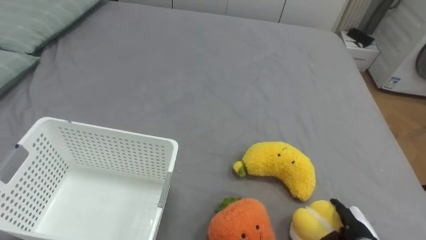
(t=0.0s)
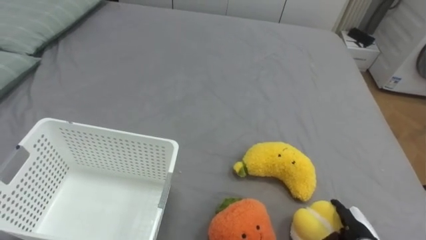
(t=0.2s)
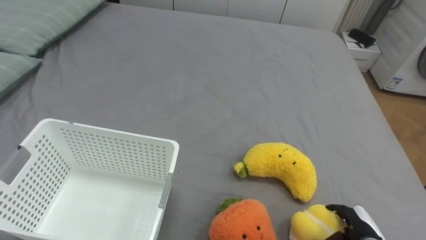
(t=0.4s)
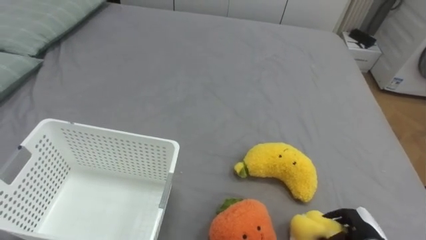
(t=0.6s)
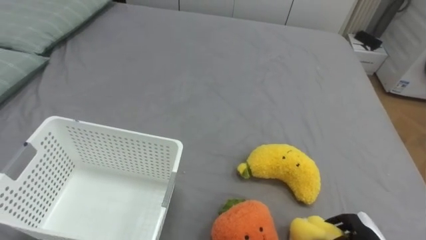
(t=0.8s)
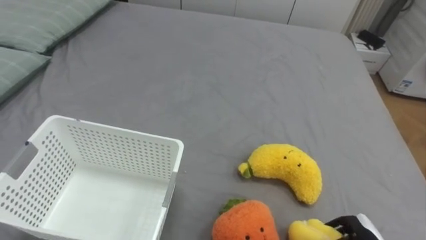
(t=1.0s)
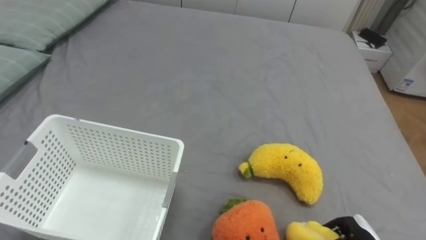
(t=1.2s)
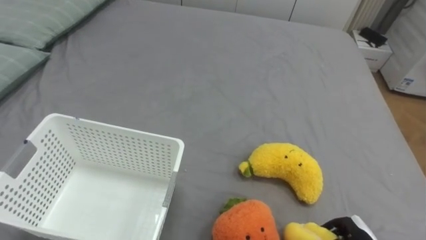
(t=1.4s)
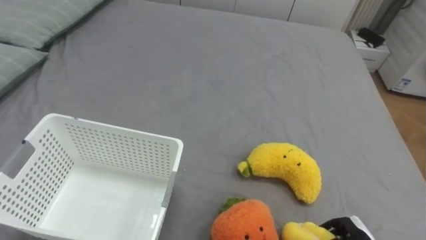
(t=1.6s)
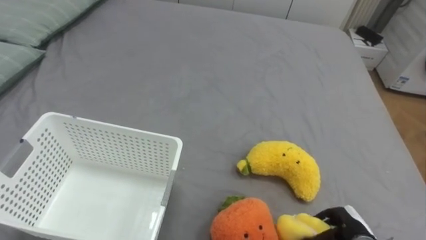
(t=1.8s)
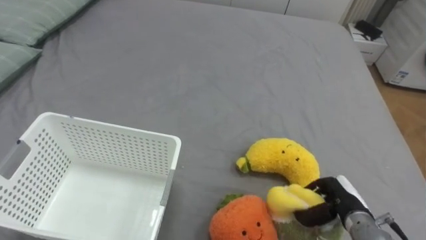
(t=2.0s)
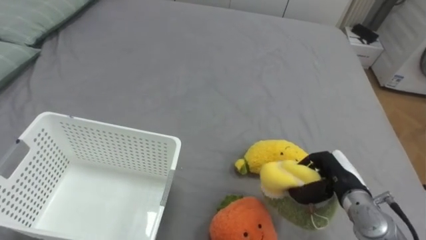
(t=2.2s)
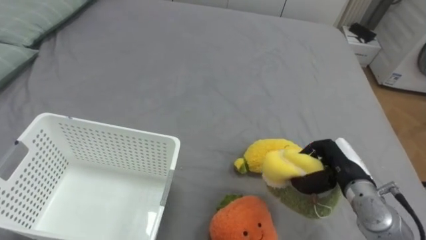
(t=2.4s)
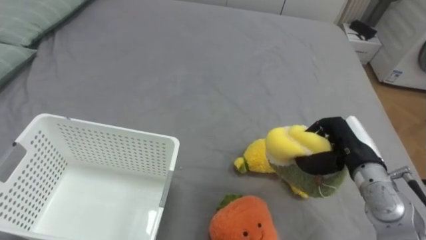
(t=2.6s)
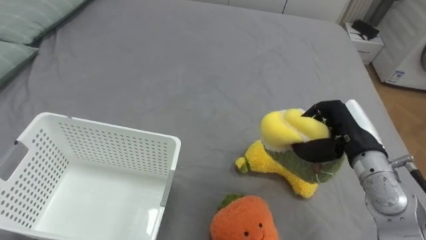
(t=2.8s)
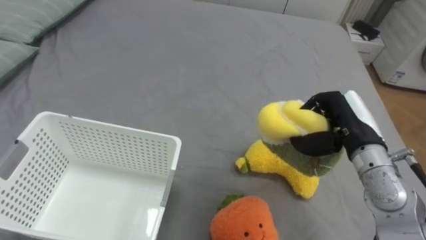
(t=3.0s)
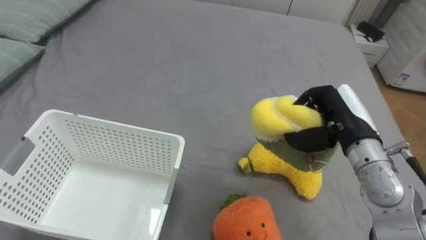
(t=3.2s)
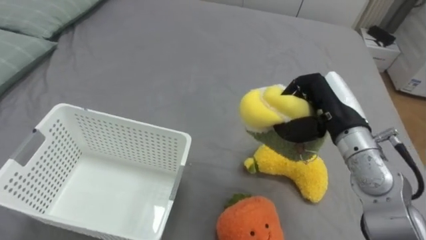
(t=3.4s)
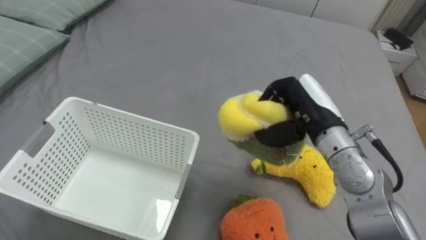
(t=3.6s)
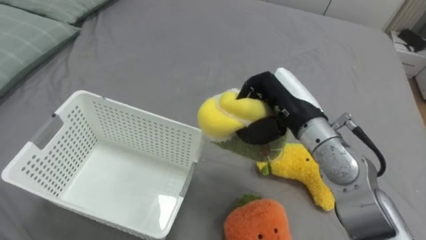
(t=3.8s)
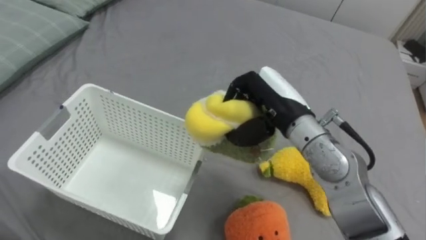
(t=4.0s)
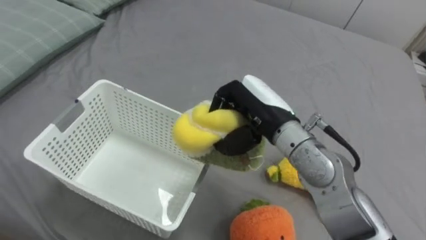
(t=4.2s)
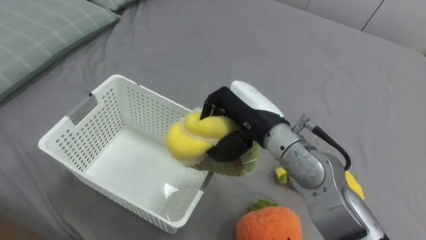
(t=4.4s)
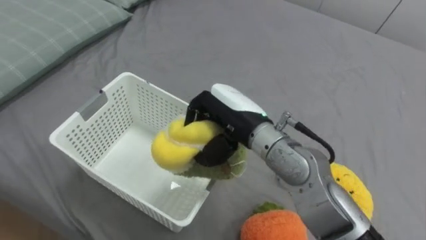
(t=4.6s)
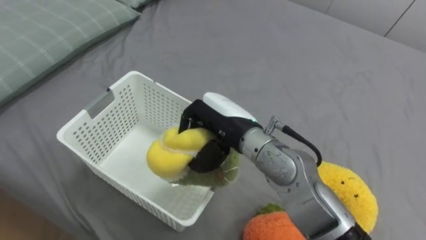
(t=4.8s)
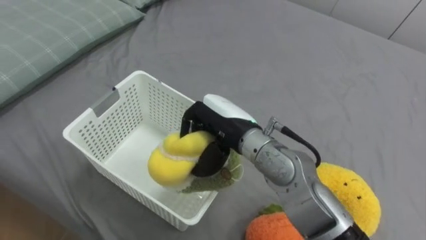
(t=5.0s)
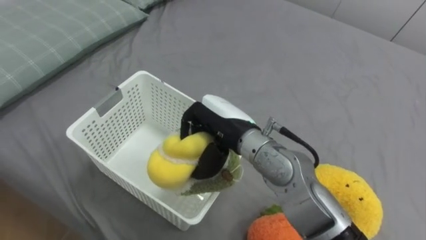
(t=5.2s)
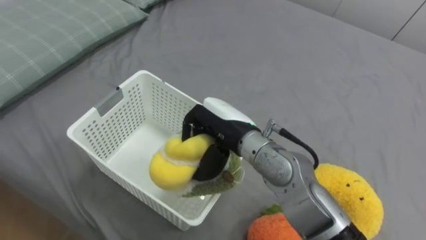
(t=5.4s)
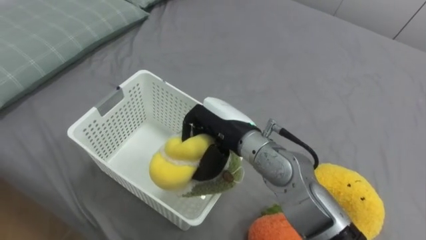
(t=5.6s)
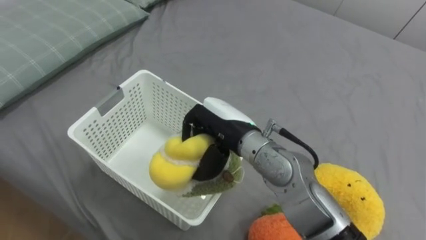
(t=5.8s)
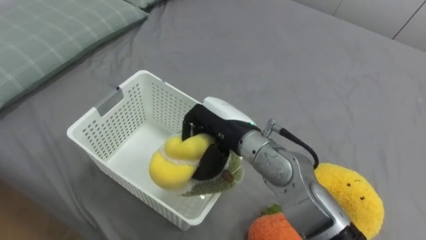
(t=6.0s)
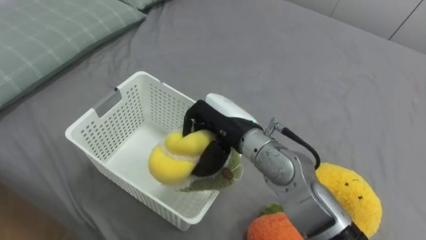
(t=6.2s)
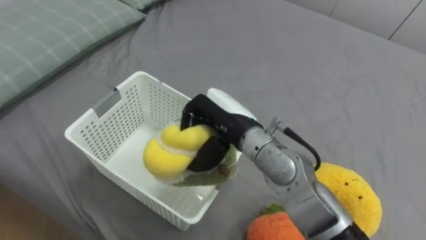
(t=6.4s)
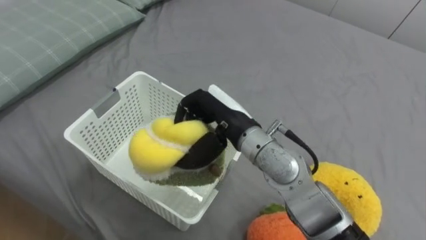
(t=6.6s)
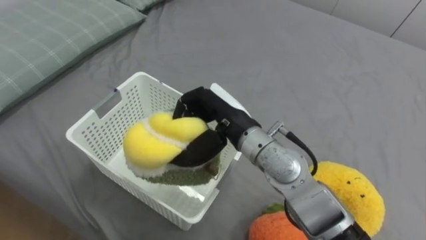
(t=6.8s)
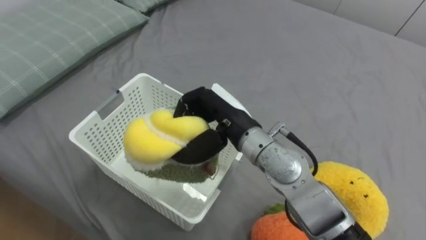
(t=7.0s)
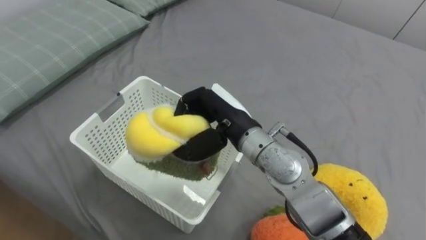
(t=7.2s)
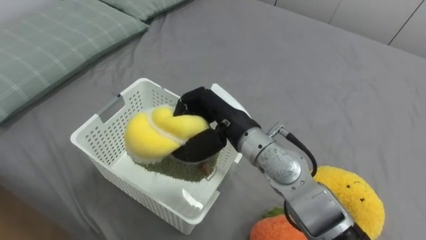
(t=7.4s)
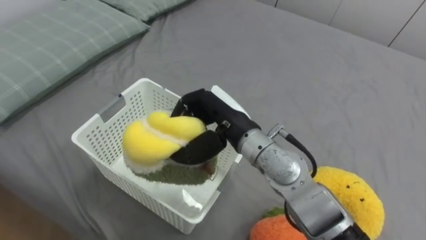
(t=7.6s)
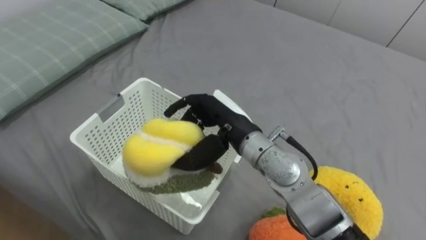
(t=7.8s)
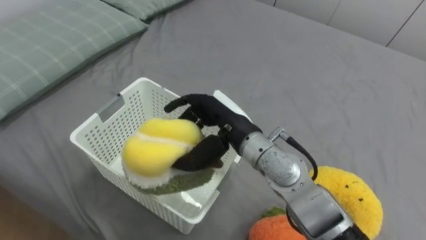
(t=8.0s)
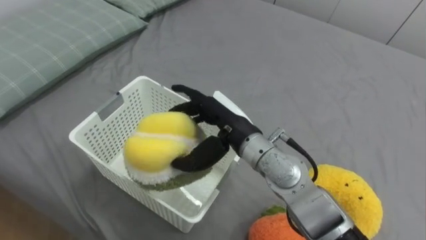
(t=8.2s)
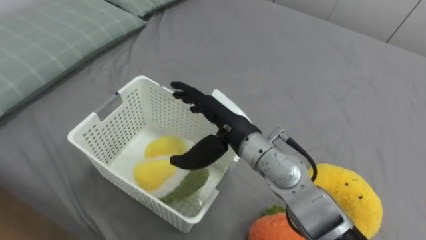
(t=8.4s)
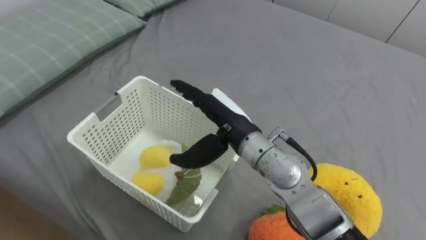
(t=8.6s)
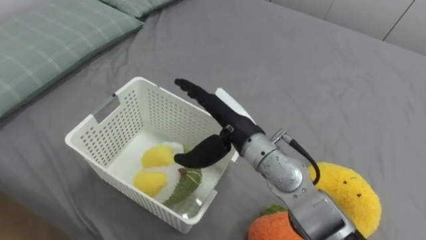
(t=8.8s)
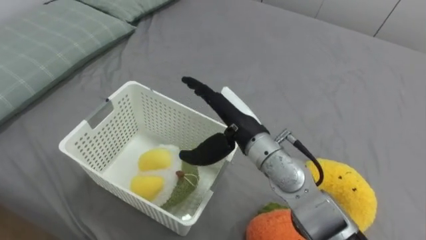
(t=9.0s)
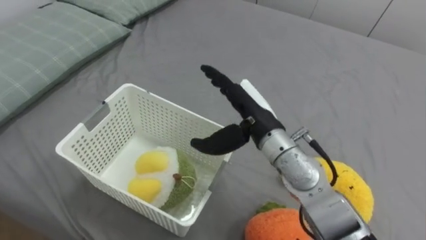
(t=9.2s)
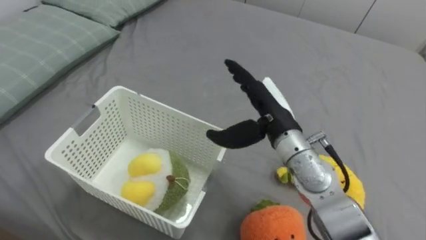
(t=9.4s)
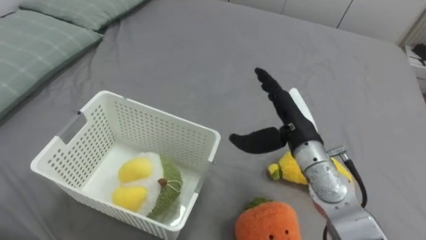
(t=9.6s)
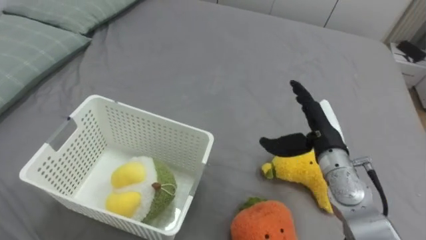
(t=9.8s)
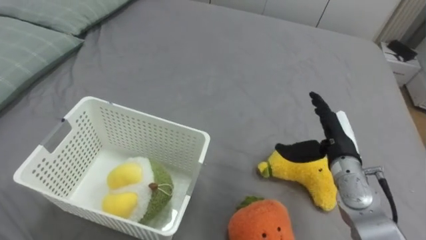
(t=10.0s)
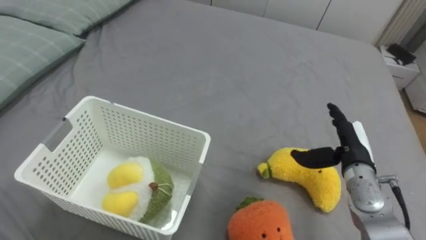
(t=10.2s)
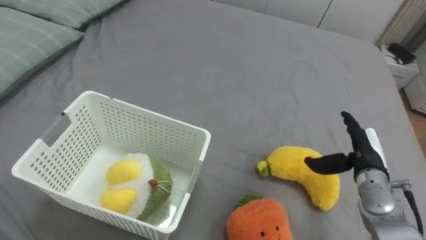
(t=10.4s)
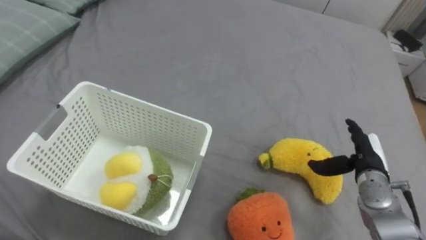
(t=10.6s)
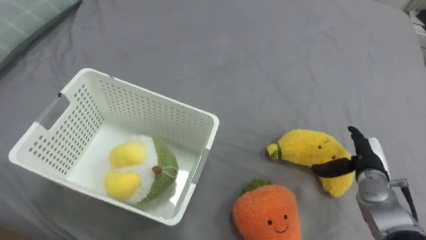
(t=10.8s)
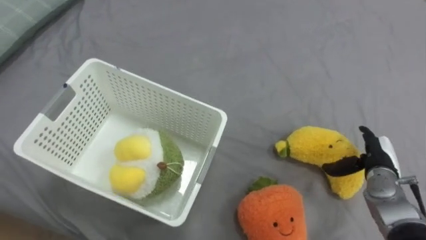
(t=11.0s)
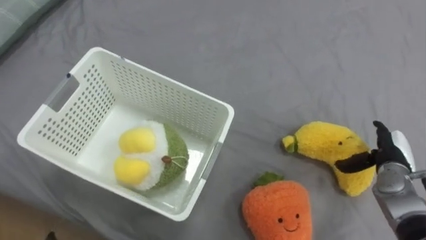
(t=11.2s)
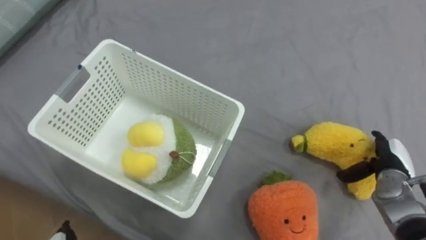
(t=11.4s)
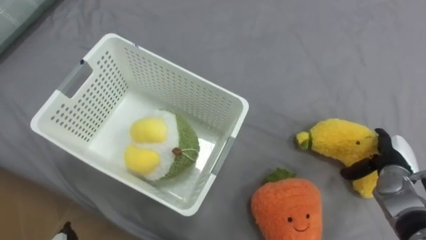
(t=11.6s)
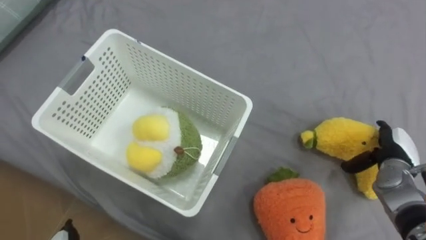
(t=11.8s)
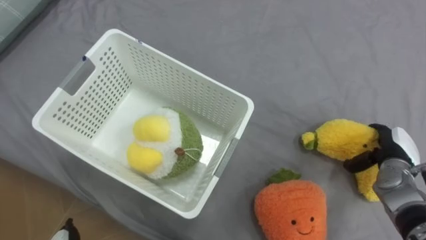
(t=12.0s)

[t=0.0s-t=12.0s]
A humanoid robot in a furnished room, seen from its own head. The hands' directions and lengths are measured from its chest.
Task of the whole recording: Put the toys on the bed into the basket on the left.
t=3.0s to t=4.4s: The right hand goes roughly 15 cm to the left.
t=4.4s to t=6.0s: The right hand ends up approximately 5 cm from where it was.
t=7.6s to t=9.0s: The right hand opens up.
t=9.0s to t=10.4s: The right hand goes some 30 cm to the right and downward.
t=10.4s to t=12.0s: The right hand is displaced to the right by some 5 cm.

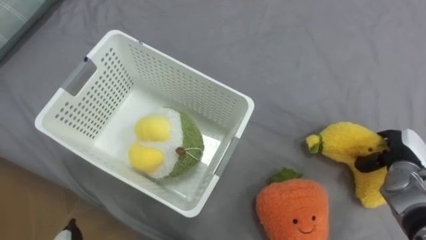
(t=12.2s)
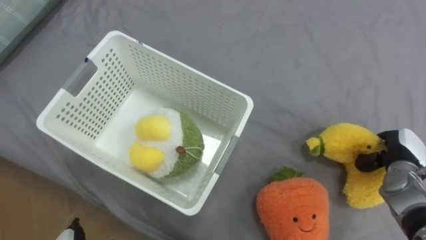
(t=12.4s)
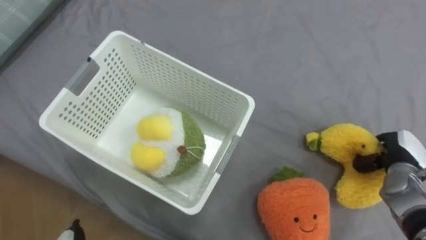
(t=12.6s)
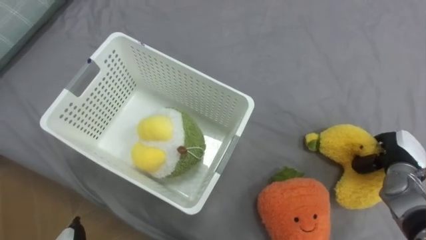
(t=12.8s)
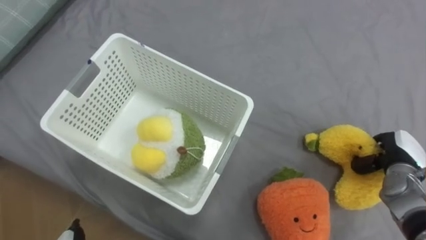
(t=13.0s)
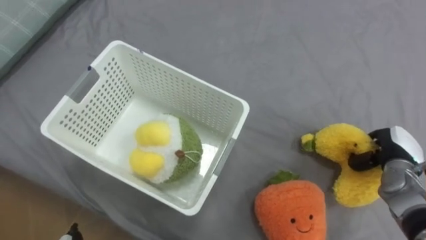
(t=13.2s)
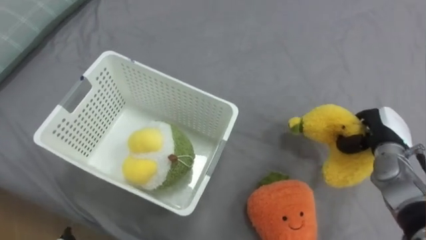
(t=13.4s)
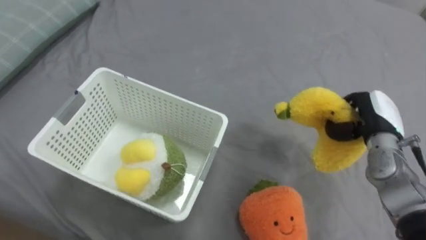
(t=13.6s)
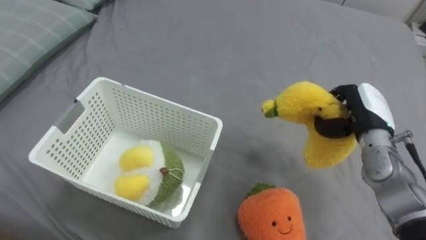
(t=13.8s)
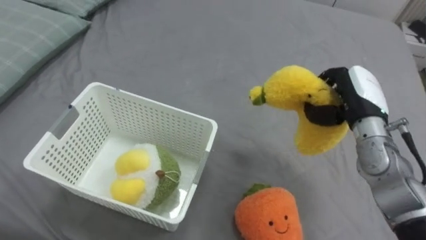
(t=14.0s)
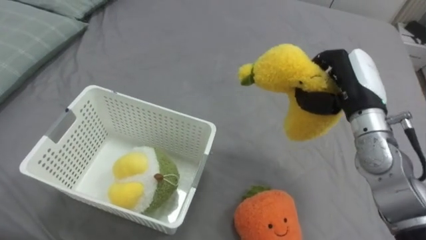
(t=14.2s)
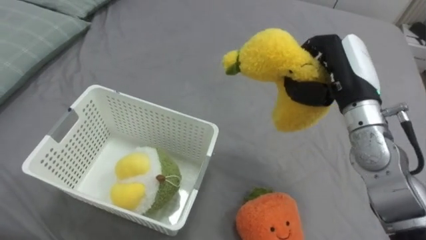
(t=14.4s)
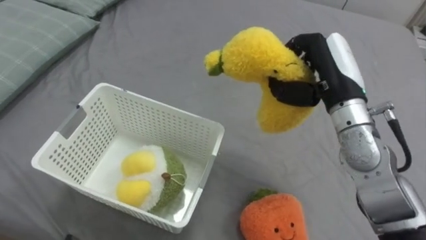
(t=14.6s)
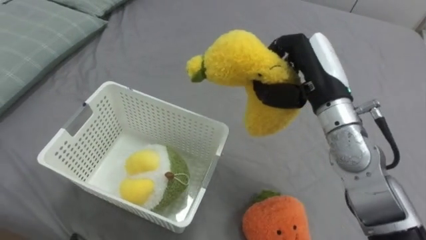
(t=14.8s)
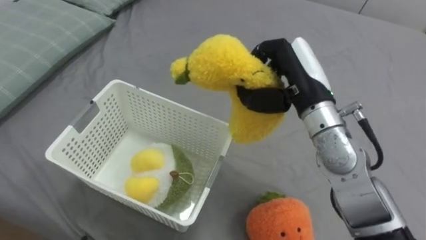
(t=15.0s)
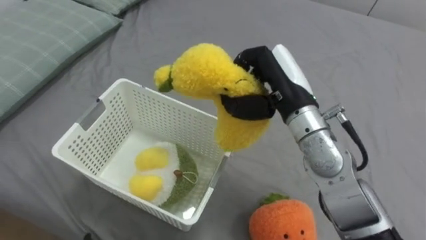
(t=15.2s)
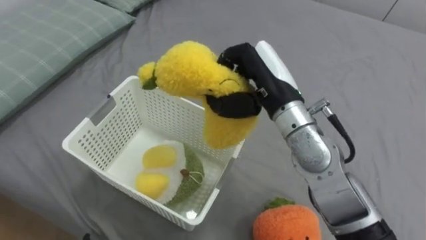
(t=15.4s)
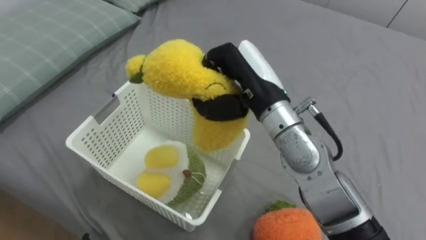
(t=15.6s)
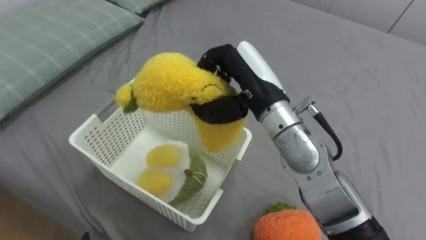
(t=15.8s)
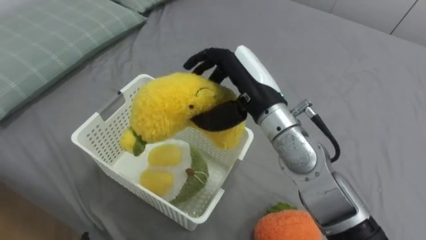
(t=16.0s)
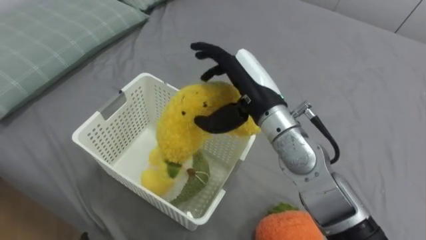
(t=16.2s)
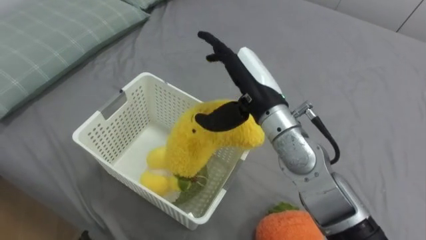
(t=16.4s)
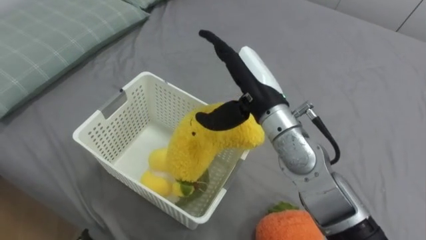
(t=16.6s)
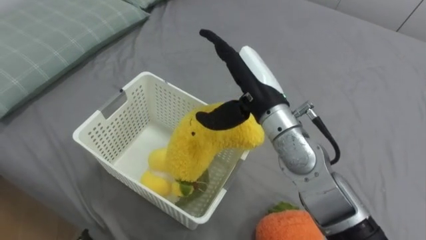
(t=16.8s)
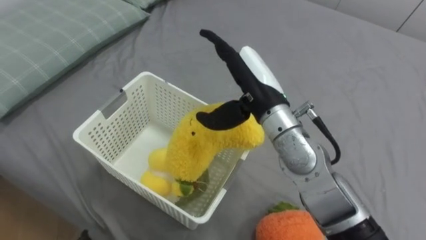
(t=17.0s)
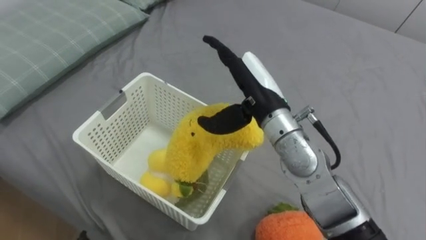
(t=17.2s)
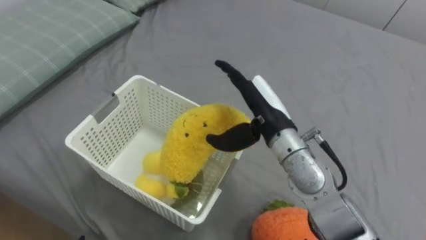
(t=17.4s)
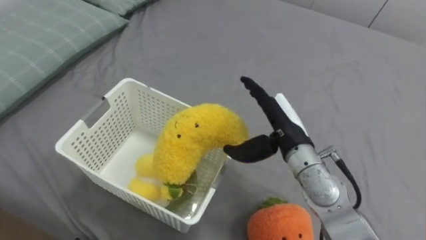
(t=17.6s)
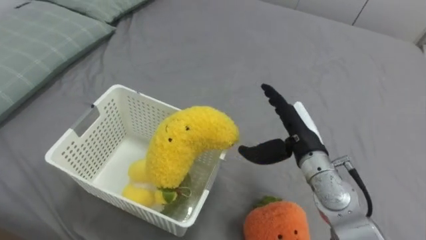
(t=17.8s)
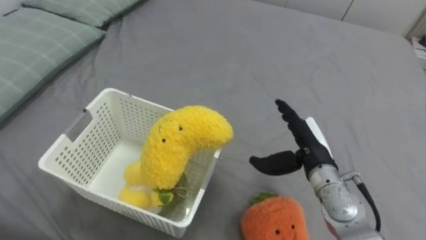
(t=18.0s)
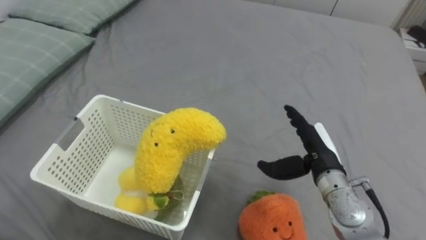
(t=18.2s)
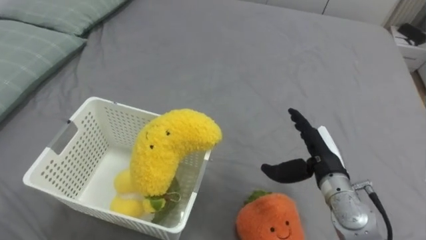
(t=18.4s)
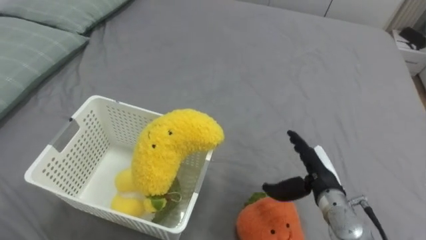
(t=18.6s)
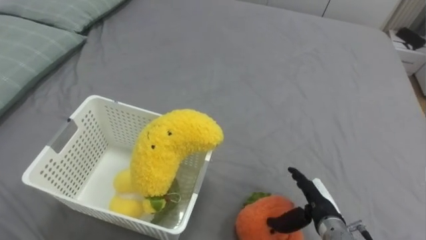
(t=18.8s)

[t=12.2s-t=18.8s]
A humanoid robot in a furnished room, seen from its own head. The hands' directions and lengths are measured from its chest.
Task of the whole recording: Put the toys on the bed into the basket on the left.
t=12.2s to t=13.8s: The right hand is displaced to the left and upward by roughly 10 cm, and closes.
t=13.8s to t=15.4s: The right hand goes about 25 cm to the left and upward.
t=15.4s to t=17.2s: The right hand opens.
t=17.2s to t=18.8s: The right hand heads downward, to the right and backward, covering roughly 30 cm.
